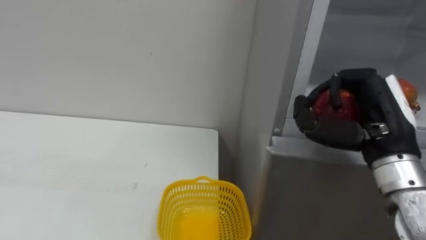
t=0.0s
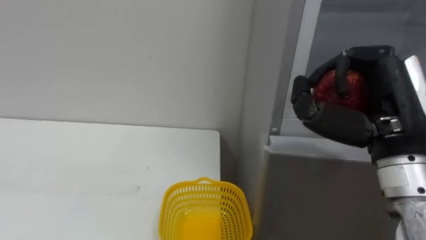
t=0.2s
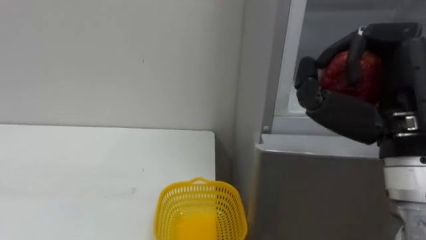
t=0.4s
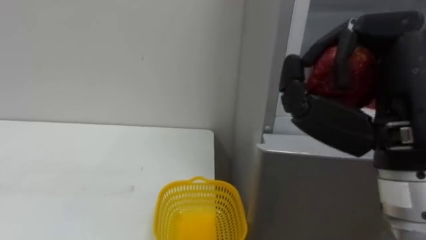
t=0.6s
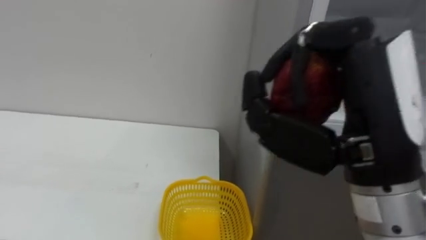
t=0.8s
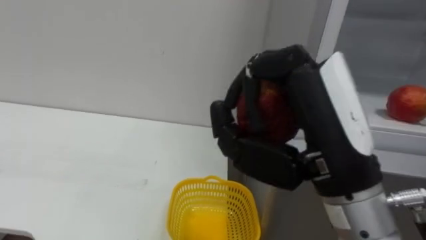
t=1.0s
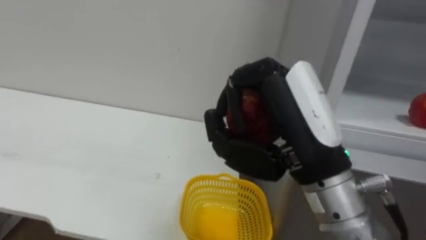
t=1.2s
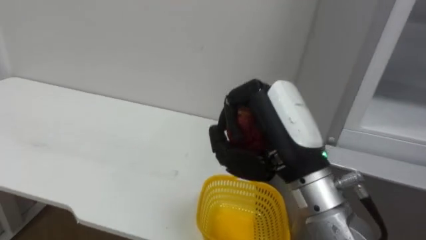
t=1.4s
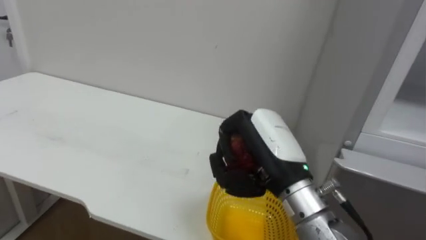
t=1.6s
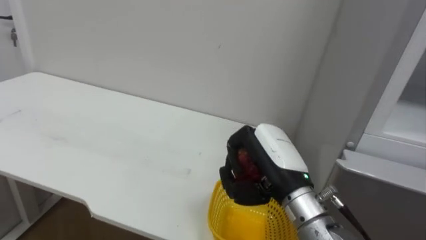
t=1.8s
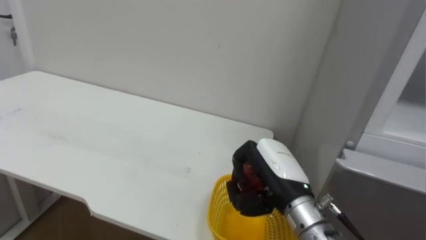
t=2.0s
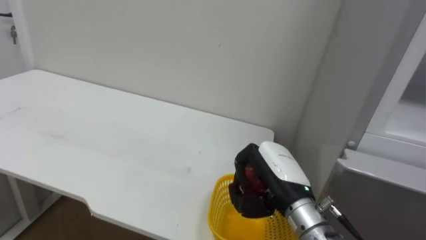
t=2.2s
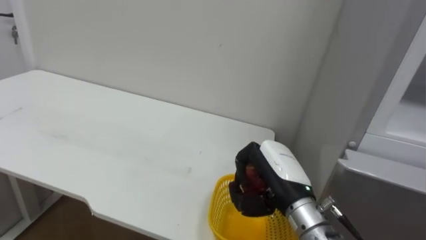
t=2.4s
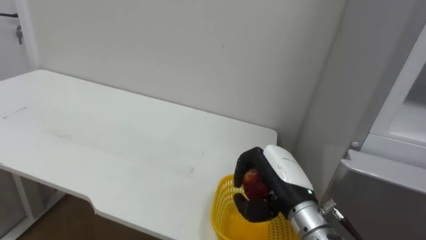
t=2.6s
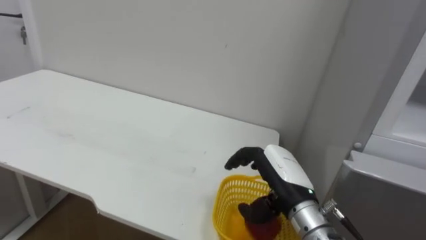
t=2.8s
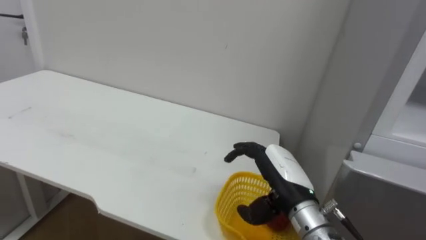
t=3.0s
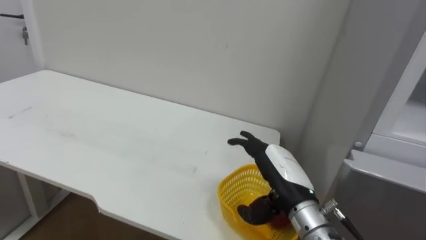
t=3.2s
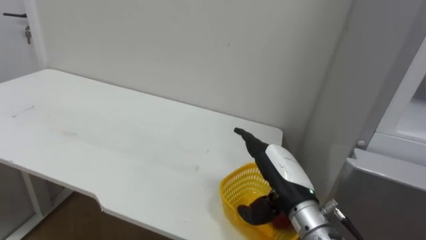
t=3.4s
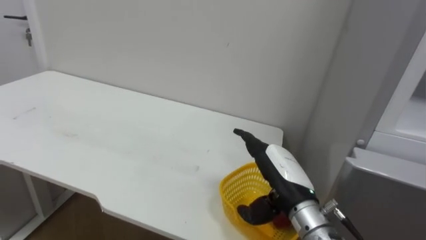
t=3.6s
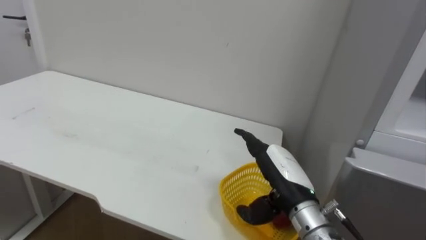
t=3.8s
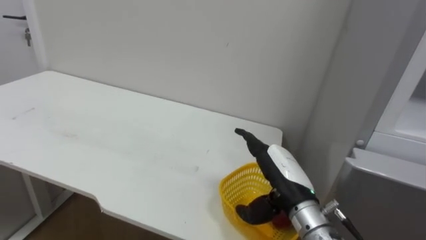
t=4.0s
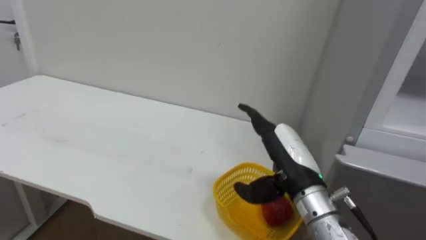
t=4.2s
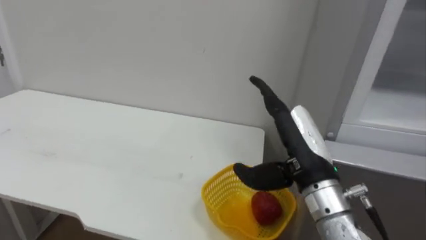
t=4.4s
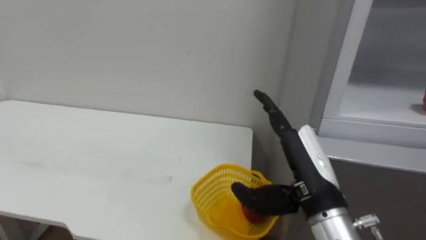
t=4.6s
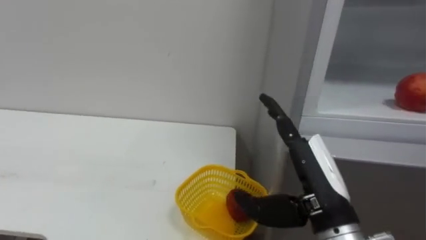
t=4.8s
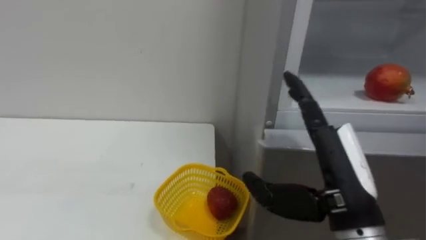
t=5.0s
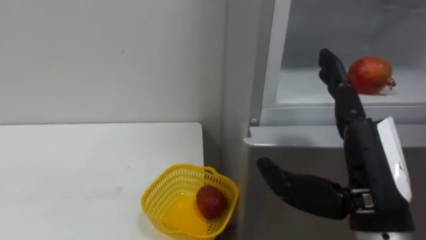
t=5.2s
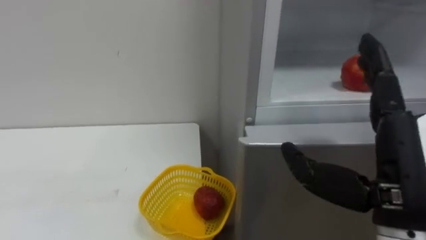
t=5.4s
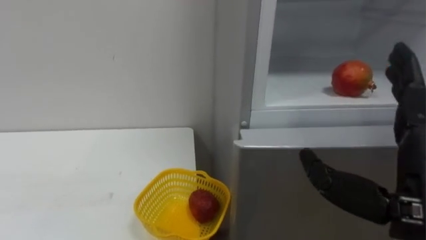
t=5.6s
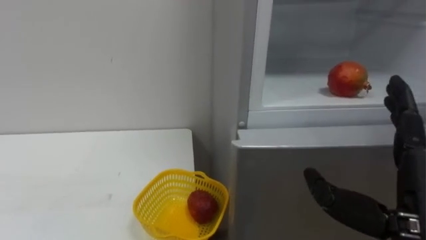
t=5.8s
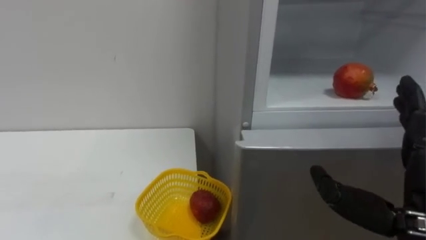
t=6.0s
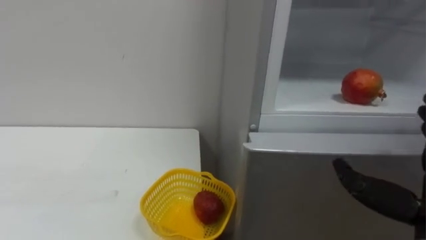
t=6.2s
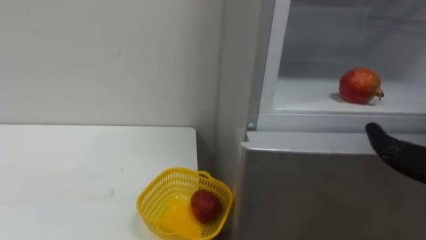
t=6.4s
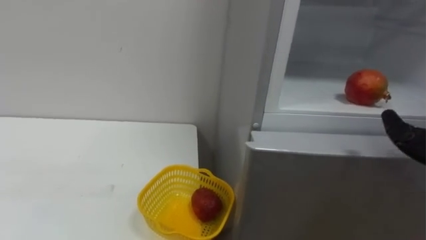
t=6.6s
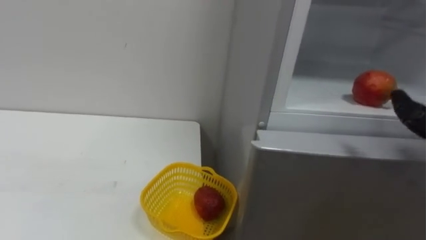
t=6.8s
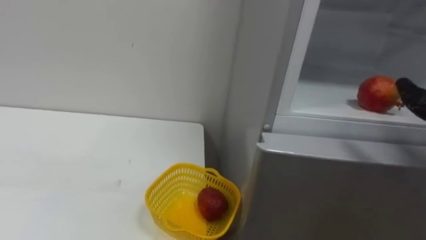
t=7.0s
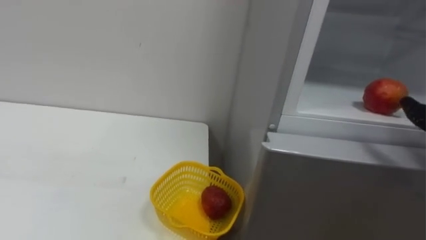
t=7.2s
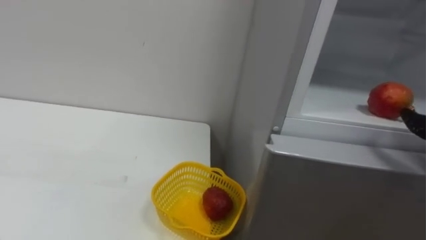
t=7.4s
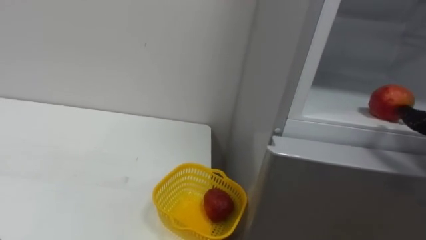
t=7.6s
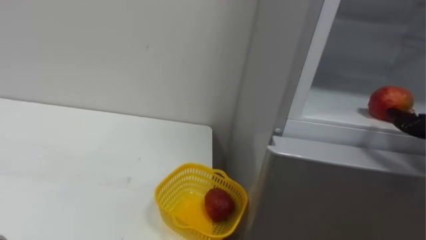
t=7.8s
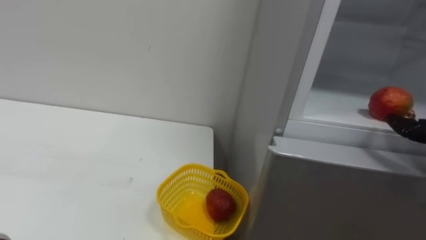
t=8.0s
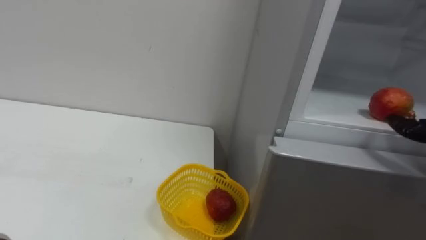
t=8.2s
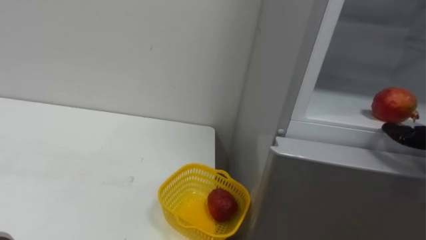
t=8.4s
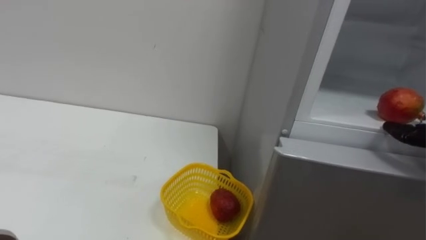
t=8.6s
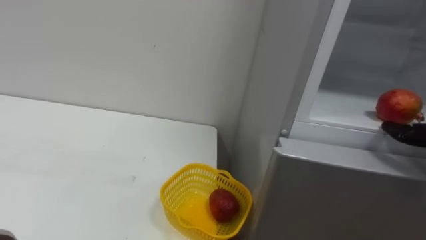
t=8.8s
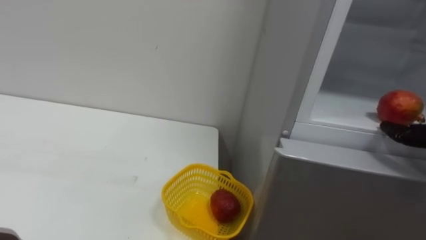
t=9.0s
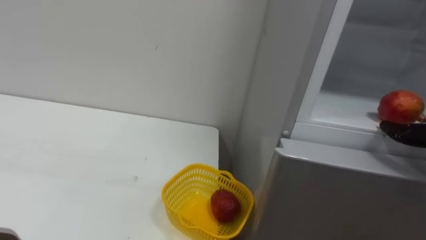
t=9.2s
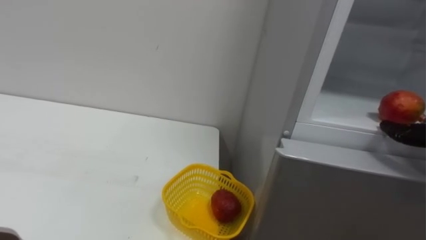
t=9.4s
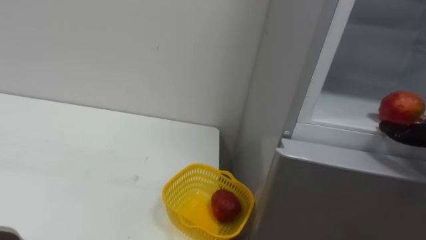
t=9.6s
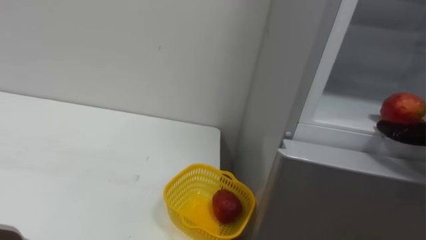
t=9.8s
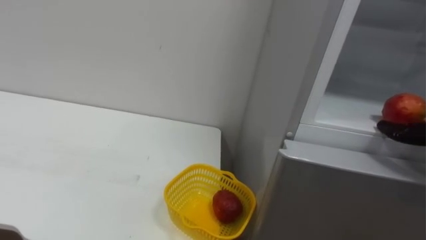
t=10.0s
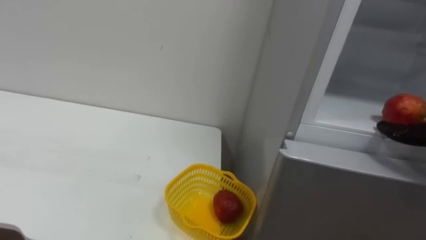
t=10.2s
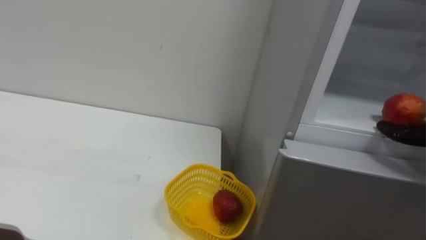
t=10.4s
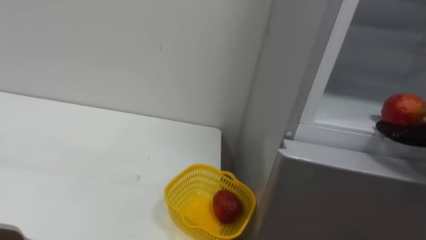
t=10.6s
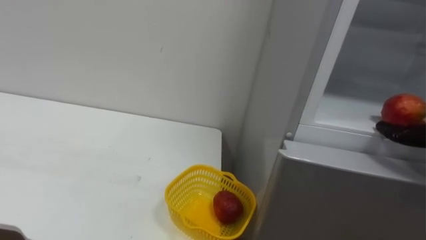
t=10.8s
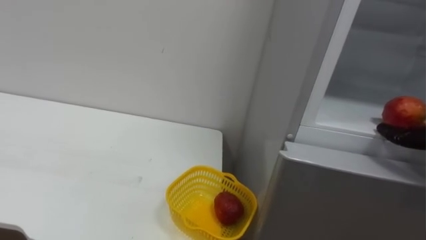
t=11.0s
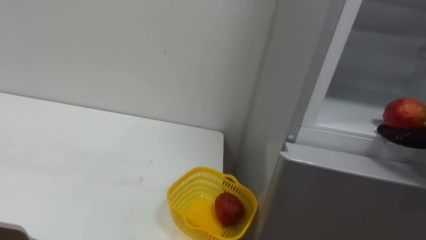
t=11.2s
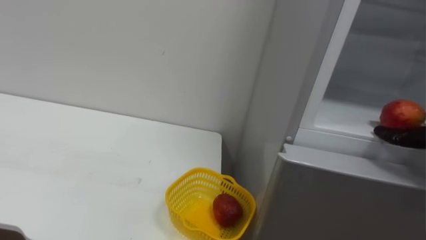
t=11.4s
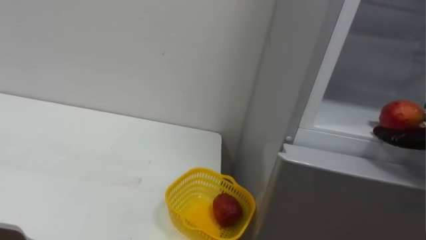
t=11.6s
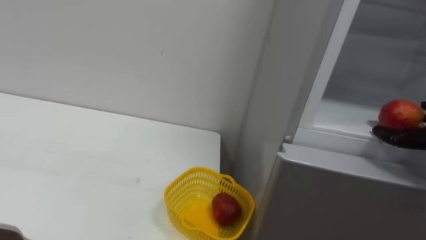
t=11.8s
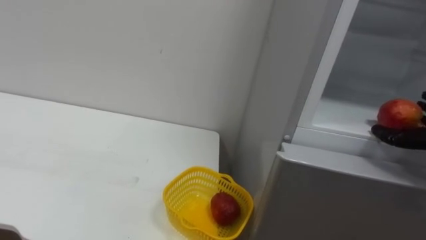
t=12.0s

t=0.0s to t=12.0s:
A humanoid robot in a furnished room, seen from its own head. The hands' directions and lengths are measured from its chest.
Task of the whole recording: Open the refrigerator door, take out the apple and the pomegranate, place them in the fruit basket on the left, and close the refrigerator door.
t=0.0s to t=1.6s: The right hand goes about 15 cm to the left.
t=1.6s to t=3.0s: The right hand travels downward by about 10 cm, and opens up.
t=3.0s to t=4.4s: The right hand travels upward by roughly 10 cm.
t=4.4s to t=6.0s: The right hand heads to the right and backward, covering roughly 15 cm.

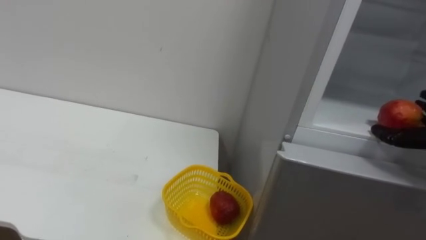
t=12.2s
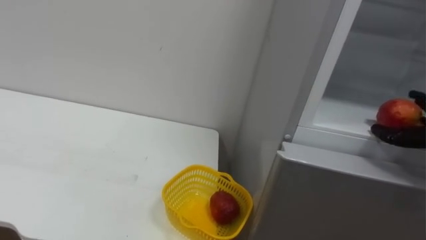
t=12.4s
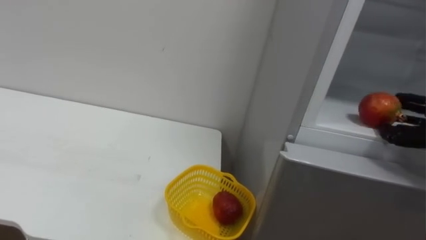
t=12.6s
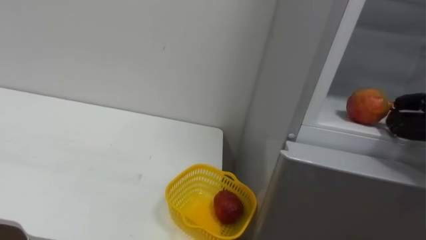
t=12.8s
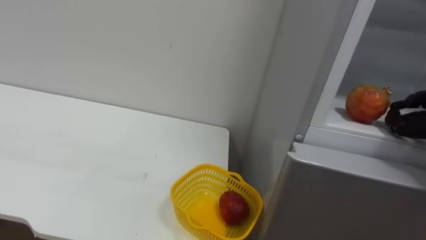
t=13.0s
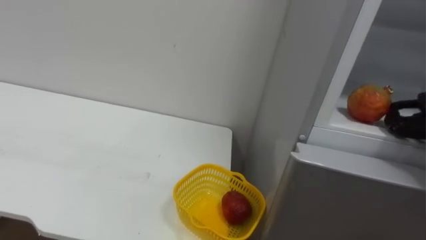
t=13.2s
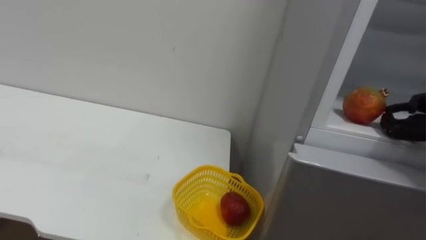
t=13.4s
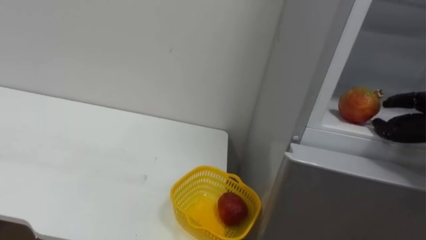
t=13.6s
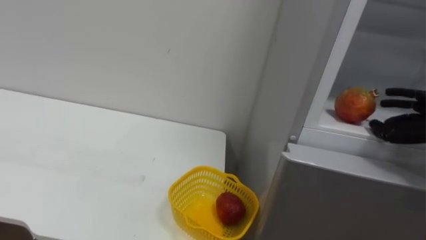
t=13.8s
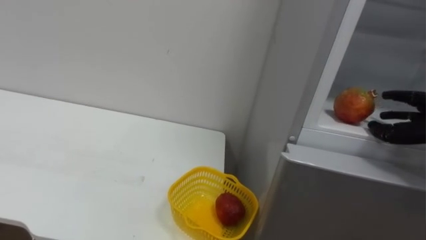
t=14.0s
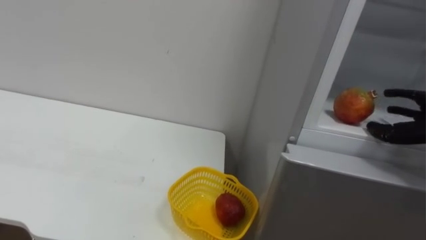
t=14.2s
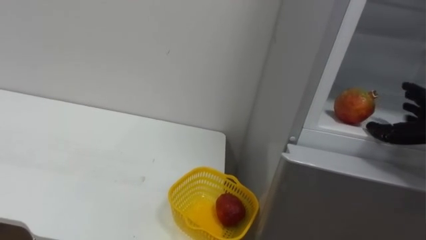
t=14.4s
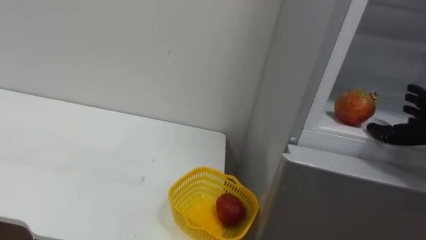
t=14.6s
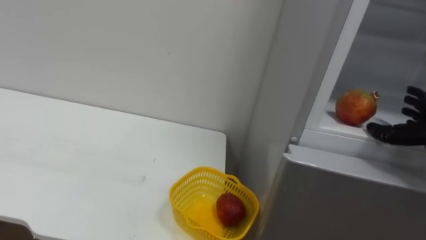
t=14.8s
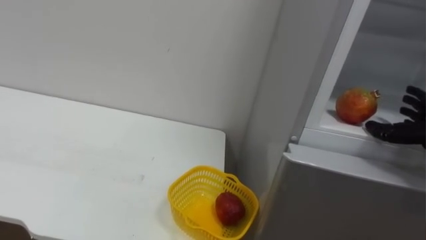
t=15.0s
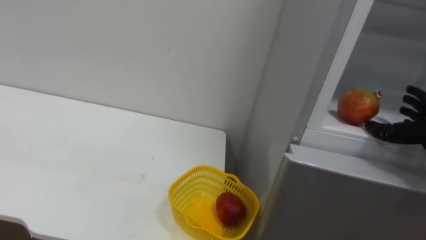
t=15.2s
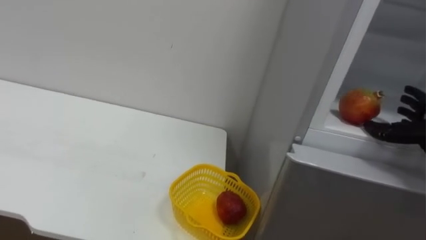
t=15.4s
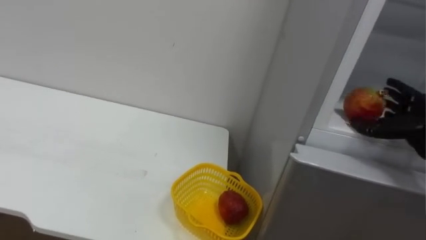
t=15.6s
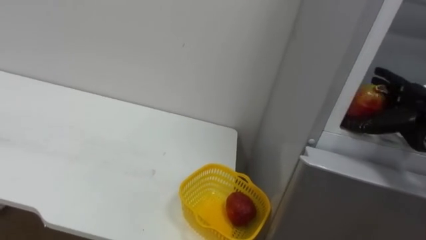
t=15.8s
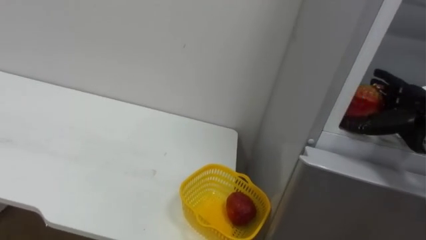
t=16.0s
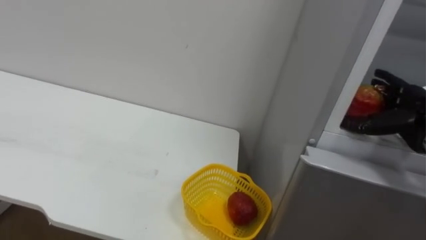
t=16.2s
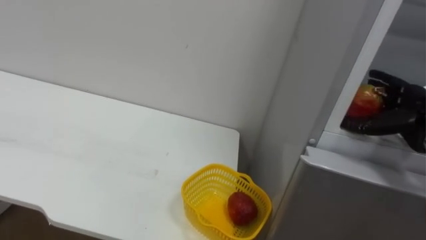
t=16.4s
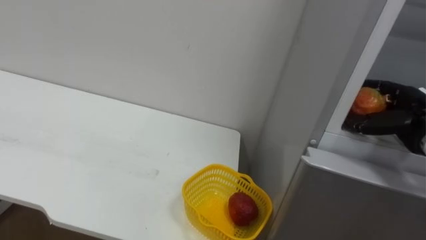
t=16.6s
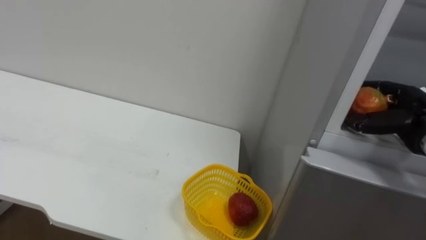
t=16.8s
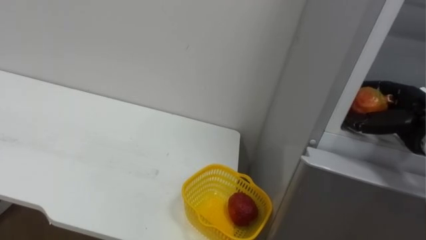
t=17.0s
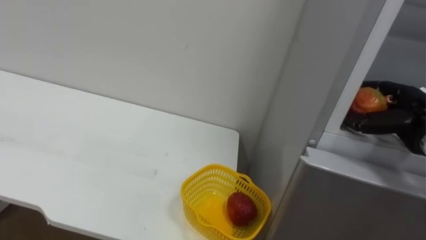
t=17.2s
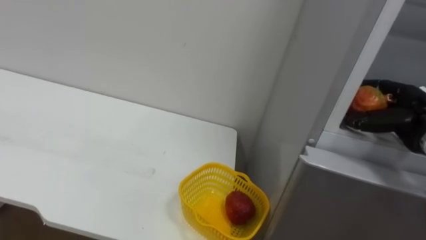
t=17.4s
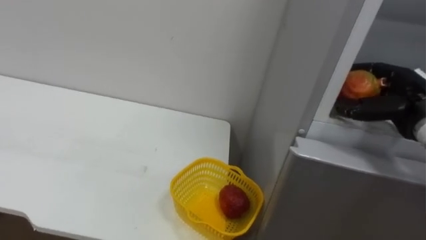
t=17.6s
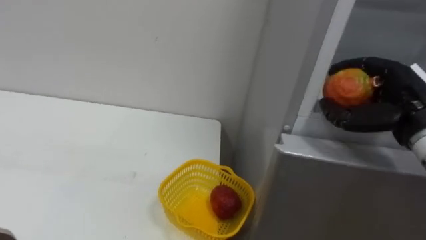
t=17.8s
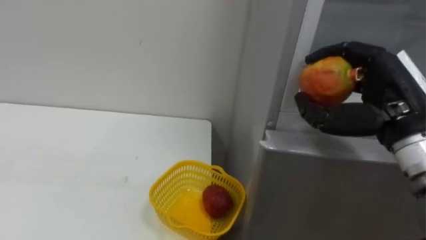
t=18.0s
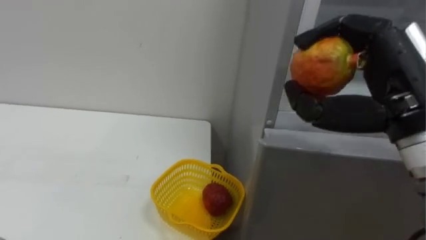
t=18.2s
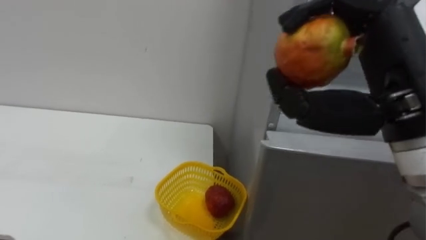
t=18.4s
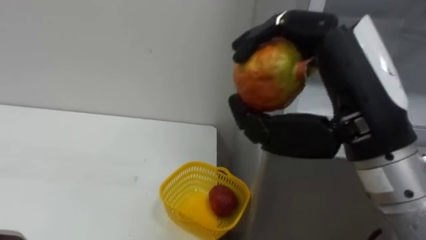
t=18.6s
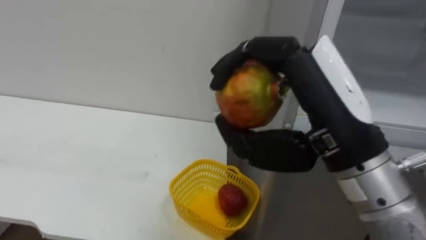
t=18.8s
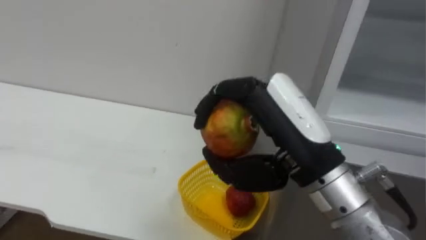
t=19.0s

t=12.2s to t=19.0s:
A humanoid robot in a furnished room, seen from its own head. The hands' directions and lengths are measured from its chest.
Task of the whole recording: Open the refrigerator door, take out the apple and the pomegranate, place them in the fruit basket on the left, and close the refrigerator door.
t=16.2s to t=17.6s: The right hand closes its fingers.
t=17.6s to t=19.0s: The right hand shifts roughly 25 cm to the left and backward.
